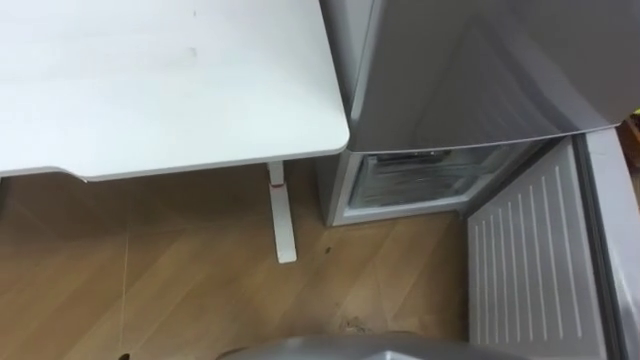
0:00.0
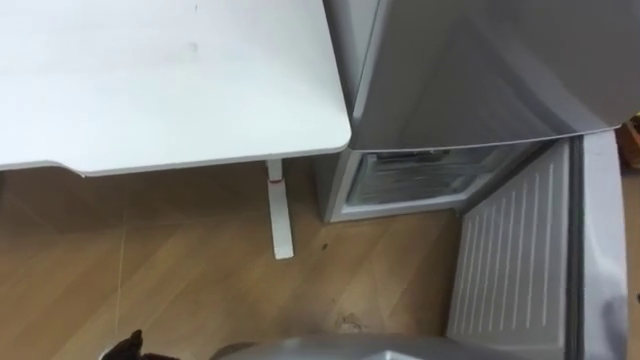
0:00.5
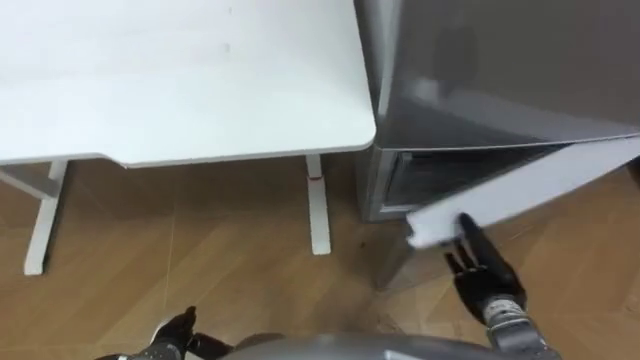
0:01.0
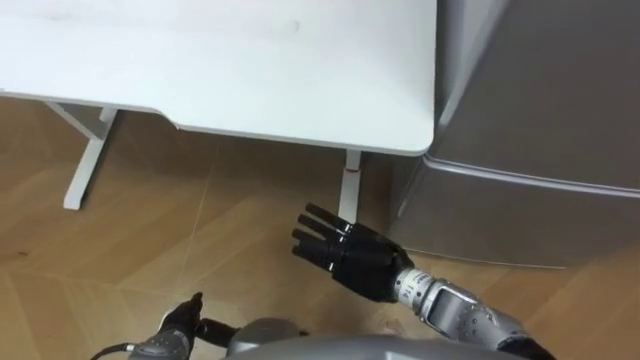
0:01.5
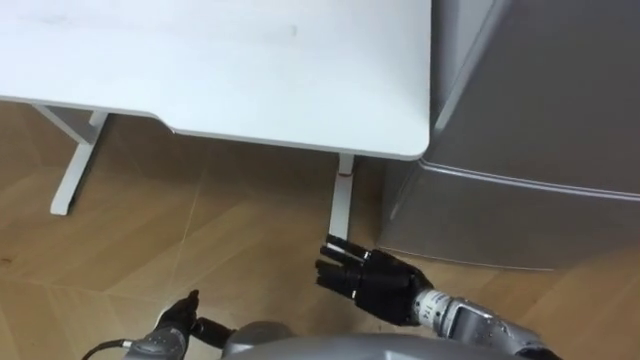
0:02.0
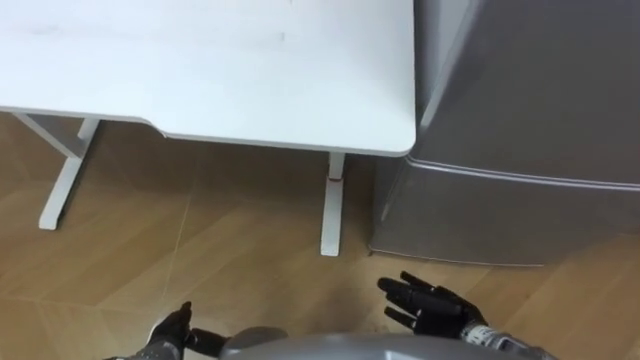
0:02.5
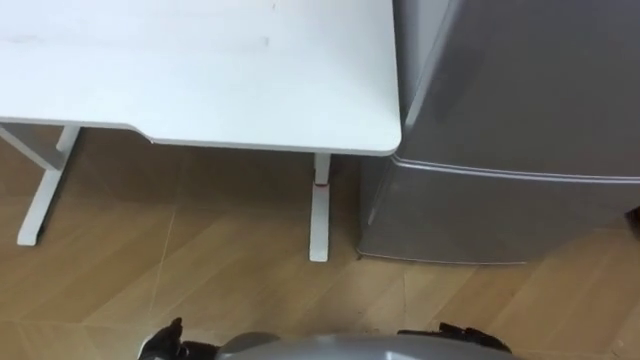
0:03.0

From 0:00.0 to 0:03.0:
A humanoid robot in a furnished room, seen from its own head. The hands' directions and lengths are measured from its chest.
Task of the whole recording: Place the drink on the table on the bottom shelf of the refrigerator, then close the drawer and the refrigerator door.
From 0:01.5 to 0:03.0: The right hand goes about 25 cm to the right, backward and downward.

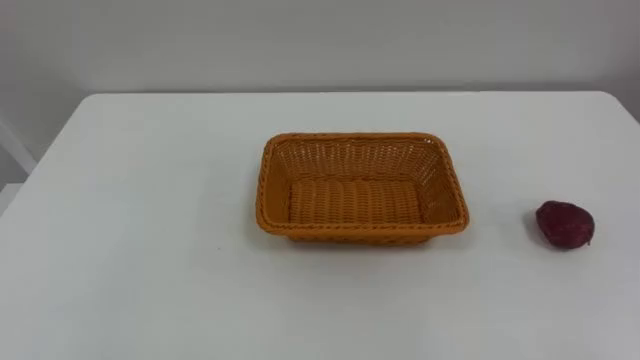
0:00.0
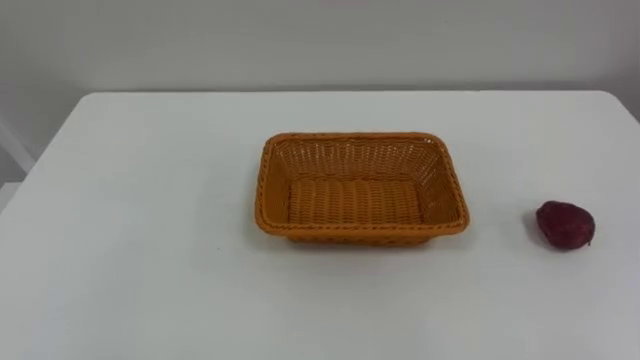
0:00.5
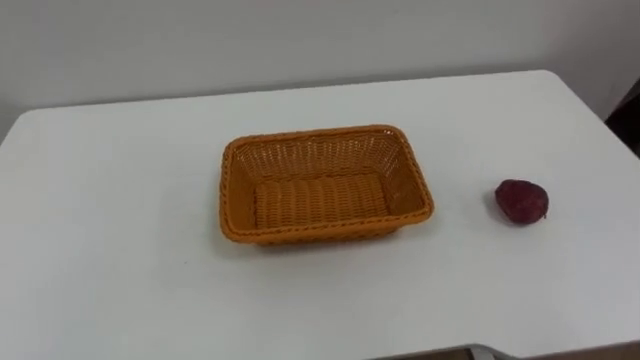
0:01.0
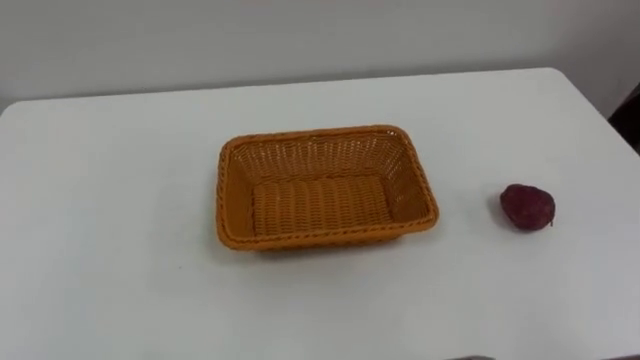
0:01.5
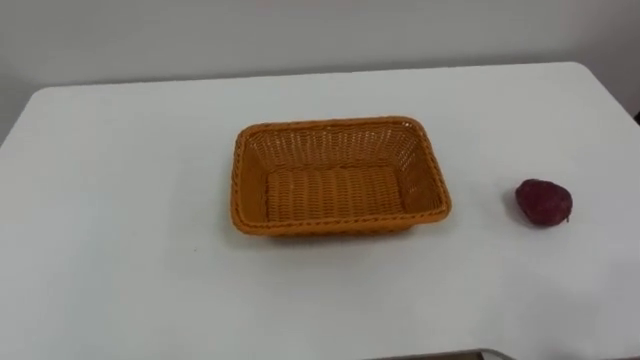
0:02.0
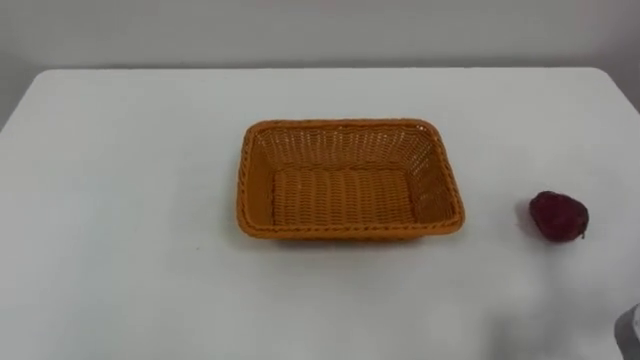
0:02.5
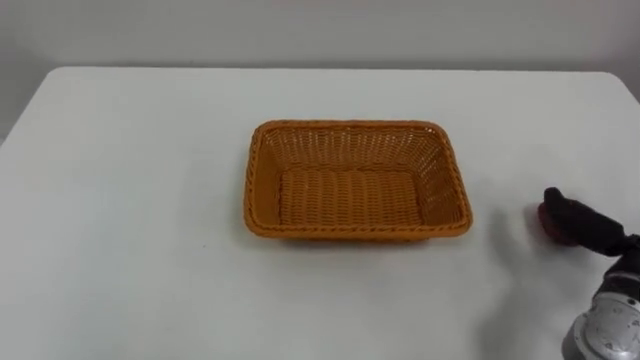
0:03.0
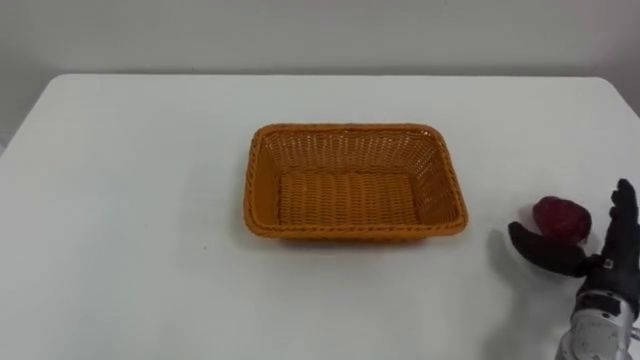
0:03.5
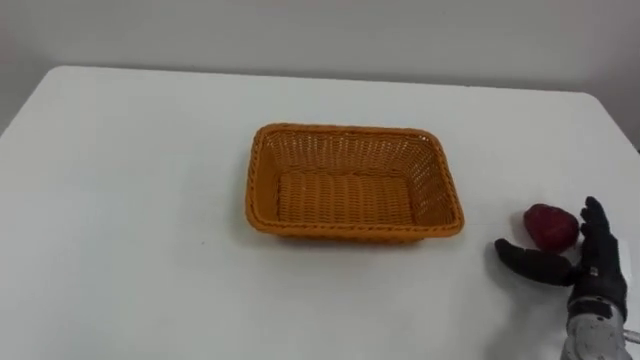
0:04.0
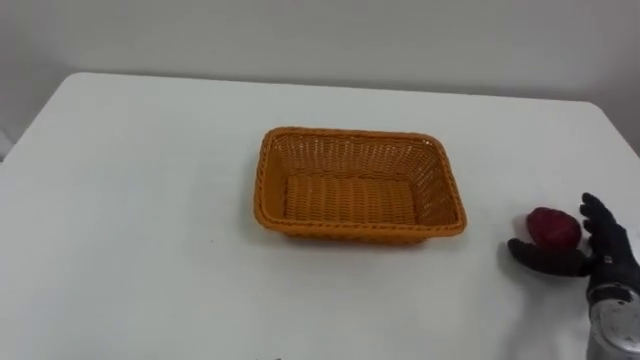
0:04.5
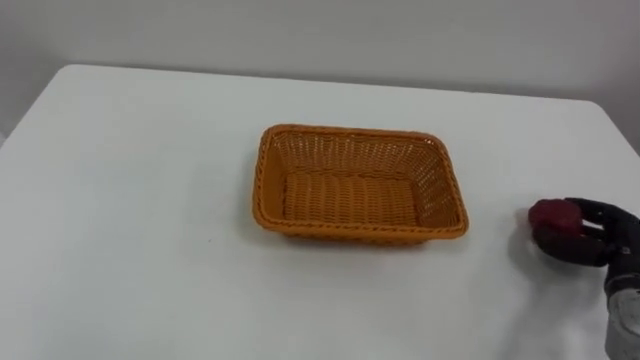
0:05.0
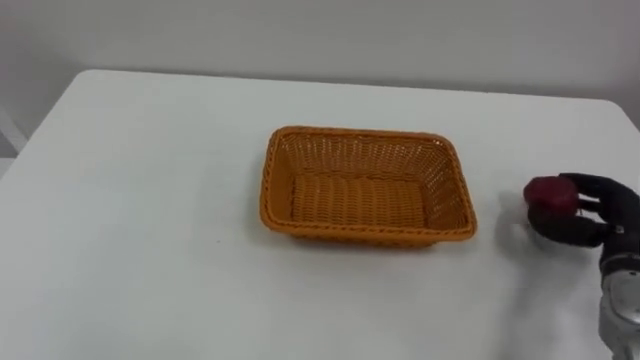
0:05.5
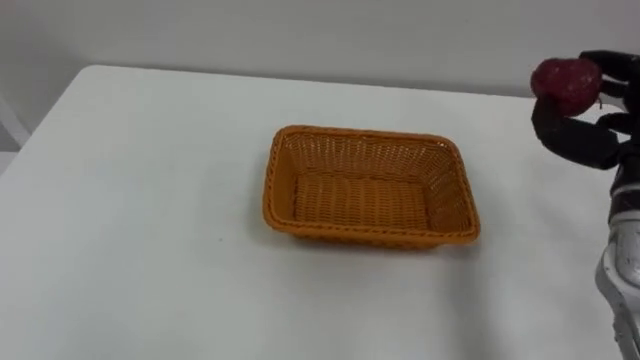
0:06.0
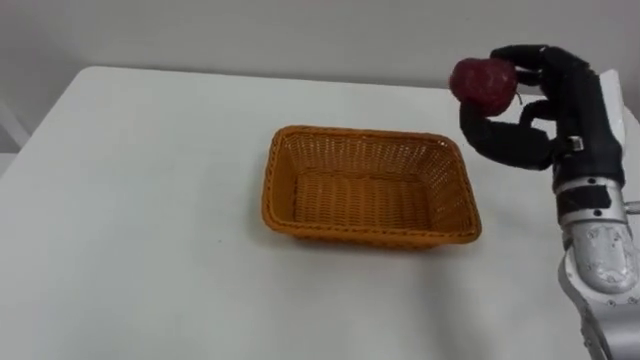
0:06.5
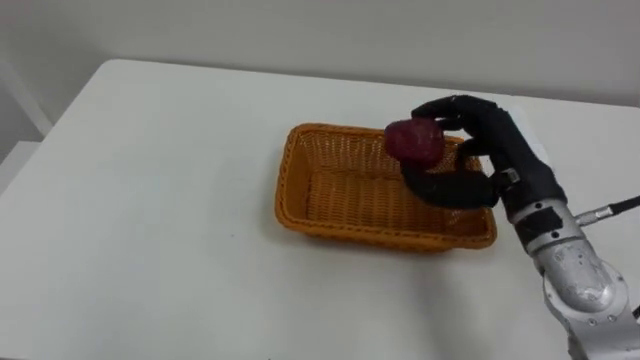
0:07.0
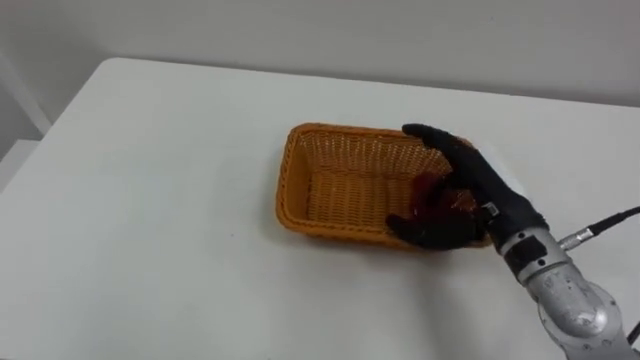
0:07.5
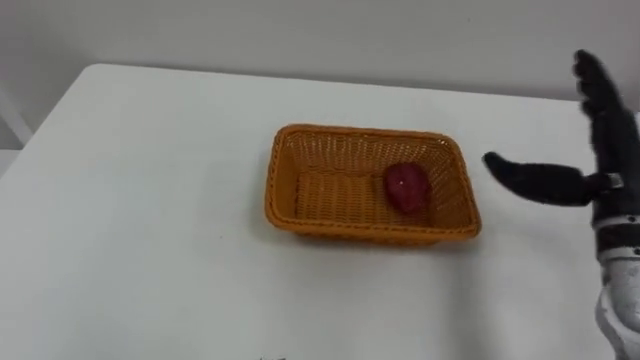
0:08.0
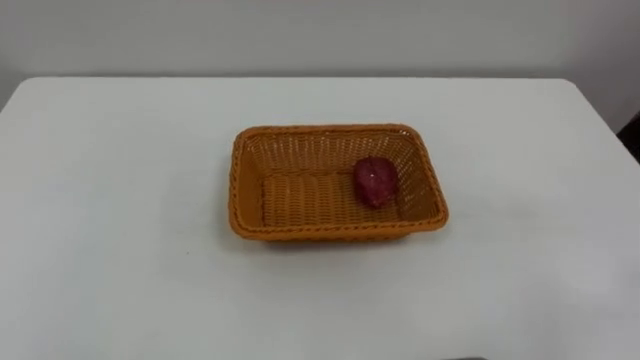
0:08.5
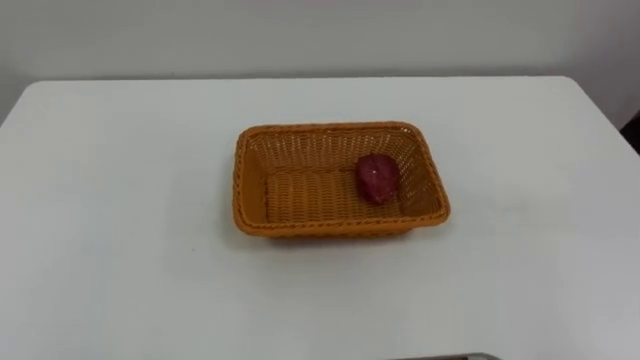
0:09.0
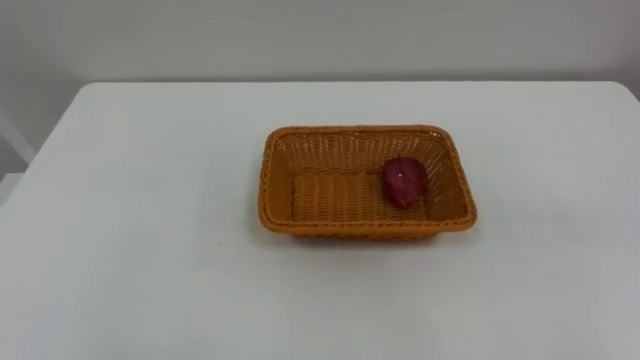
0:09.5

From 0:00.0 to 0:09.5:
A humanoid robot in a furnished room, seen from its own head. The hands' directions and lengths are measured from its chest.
Task of the whole recording: Pick the apple and place it in the box.
From 0:04.0 to 0:05.5: The right hand ends up roughly 5 cm from where it was, and closes its fingers.

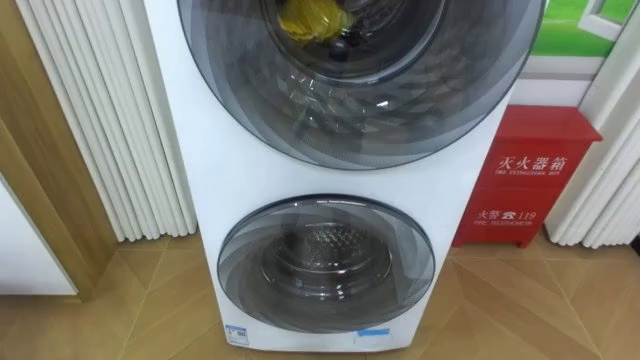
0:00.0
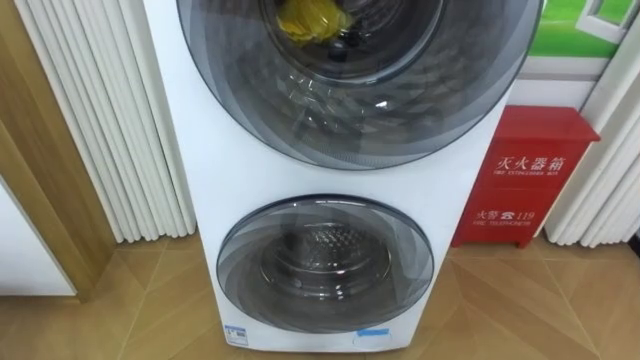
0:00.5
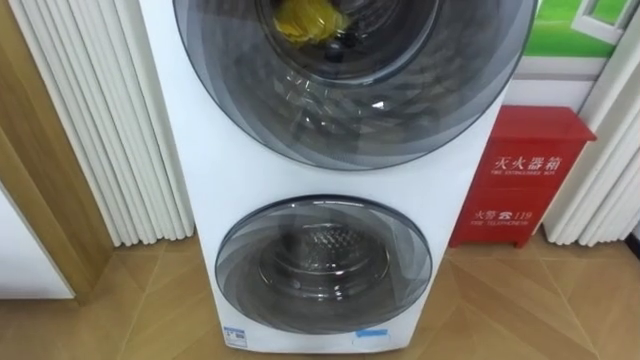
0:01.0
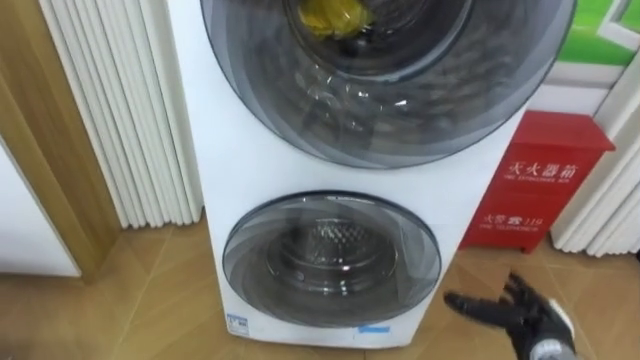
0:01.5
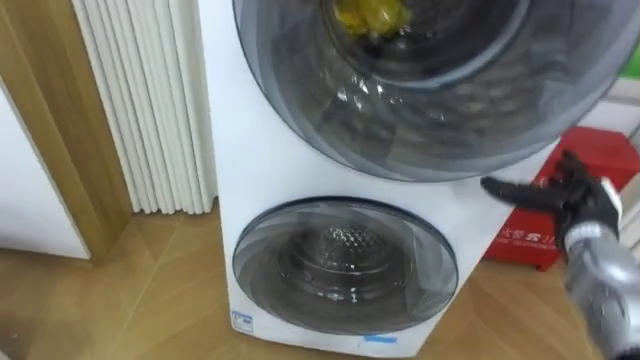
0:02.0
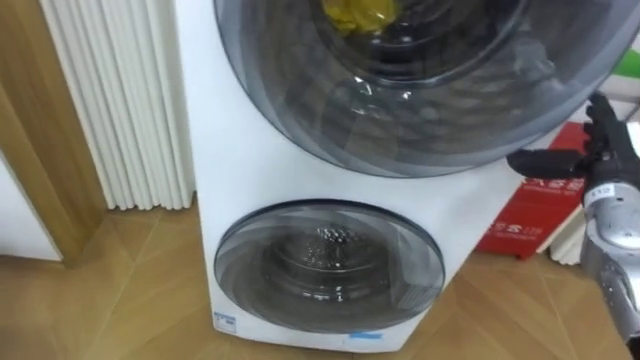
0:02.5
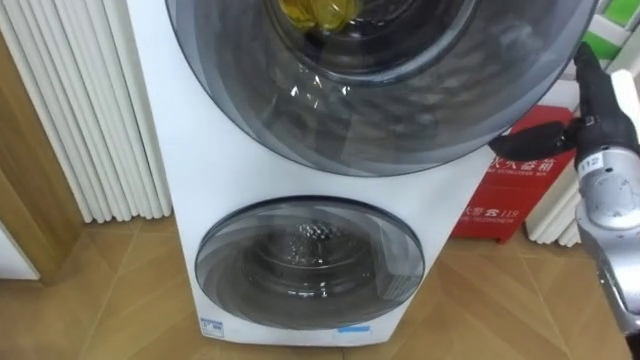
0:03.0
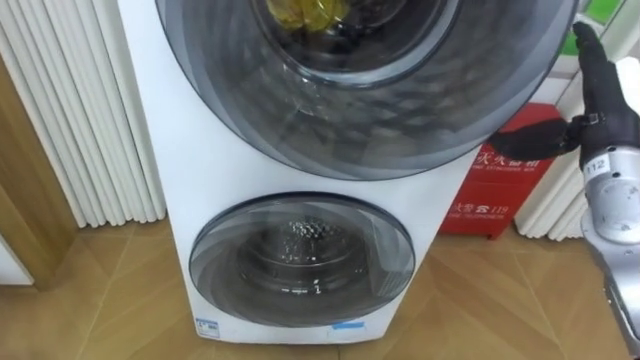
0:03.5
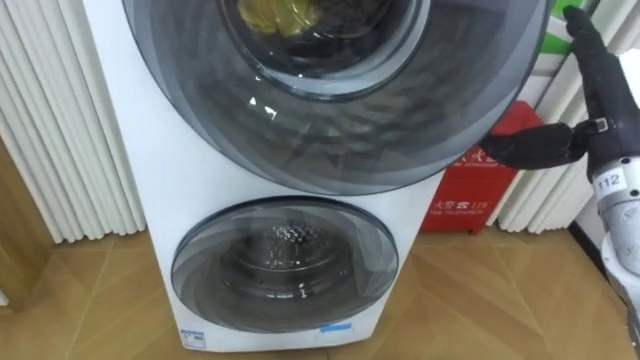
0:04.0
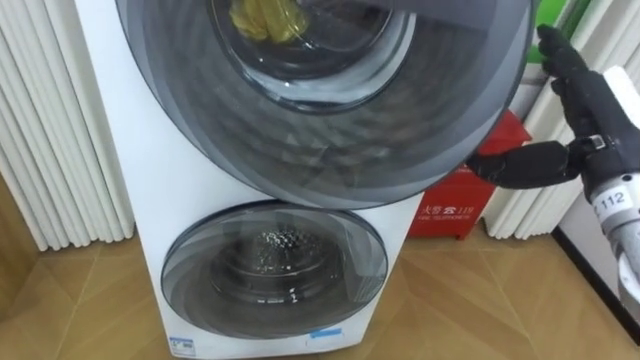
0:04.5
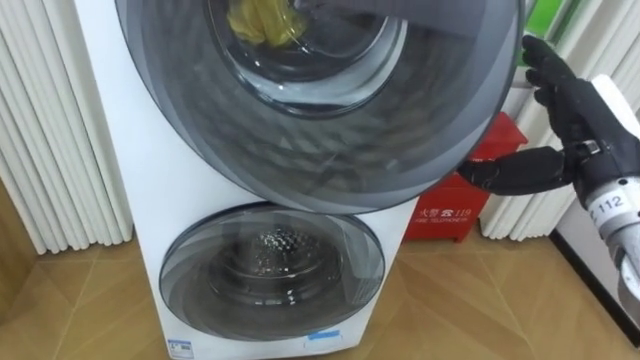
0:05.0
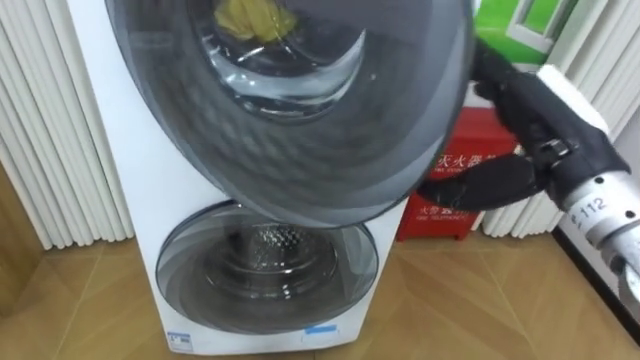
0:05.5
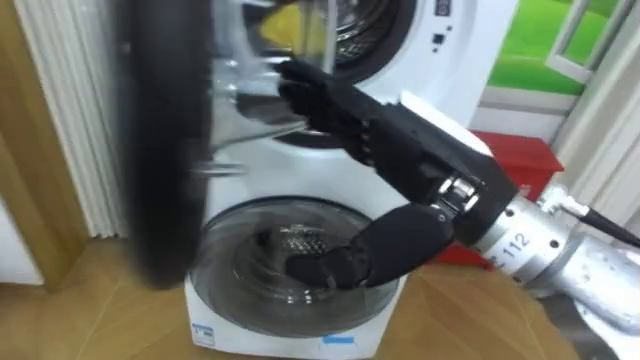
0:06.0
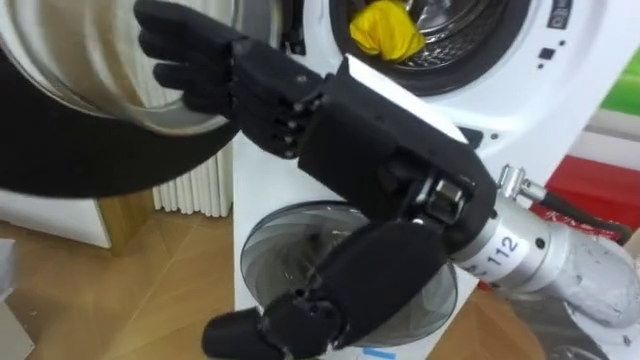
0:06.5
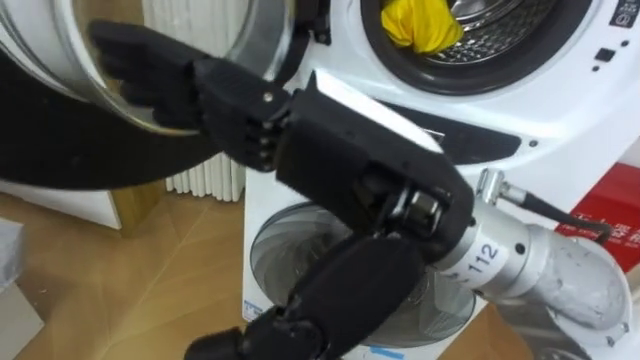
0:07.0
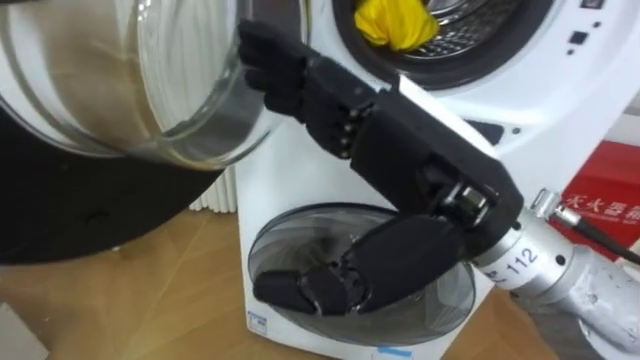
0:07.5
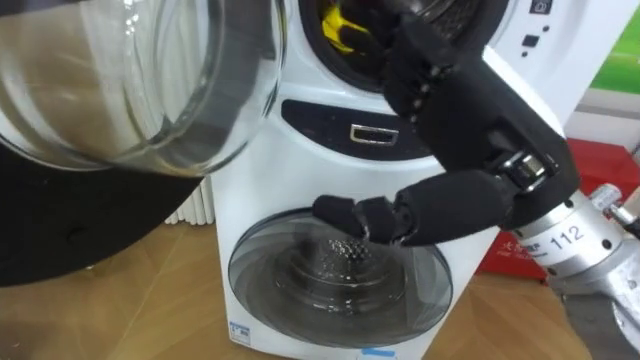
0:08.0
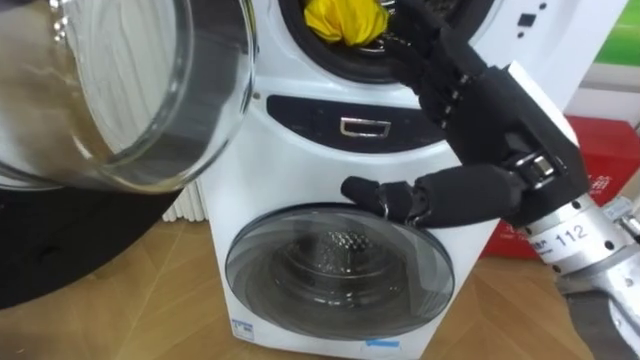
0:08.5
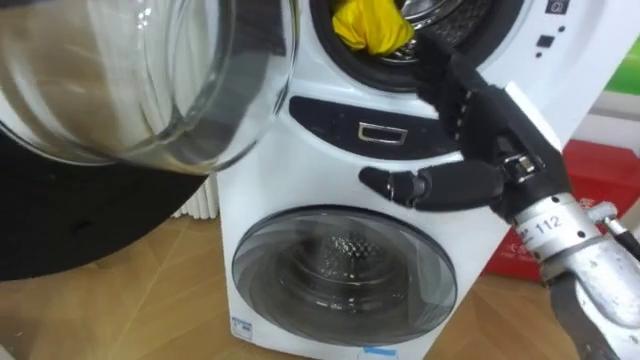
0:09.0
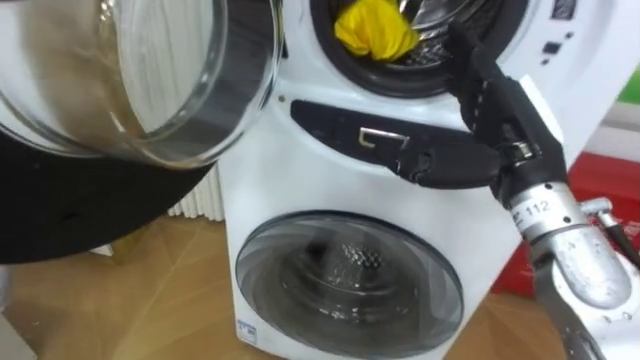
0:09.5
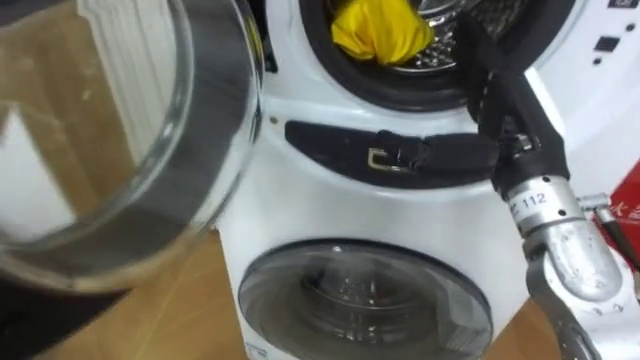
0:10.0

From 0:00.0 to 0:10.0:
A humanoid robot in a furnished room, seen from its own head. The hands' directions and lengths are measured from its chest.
Task of the whole recording: Open the washing machine door, take out the yellow clothes, place them in the box on the right, and close the washing machine door.
From 0:02.0 to 0:04.0: The right hand travels upward by approximately 15 cm.
From 0:04.0 to 0:06.0: The right hand is displaced to the left and backward by about 20 cm.
From 0:08.0 to 0:10.0: The right hand goes approximately 10 cm forward, to the right and downward.
